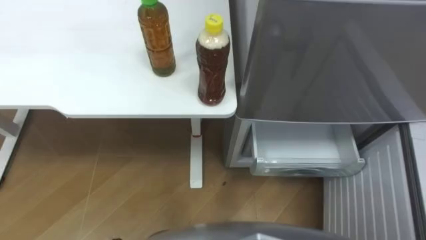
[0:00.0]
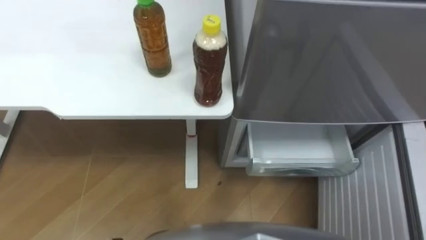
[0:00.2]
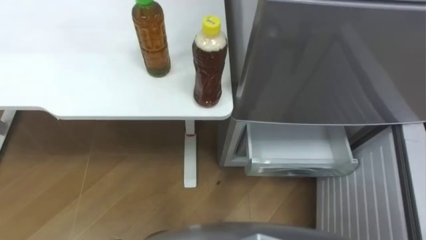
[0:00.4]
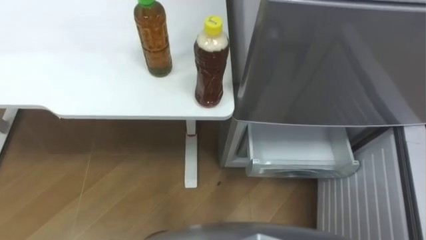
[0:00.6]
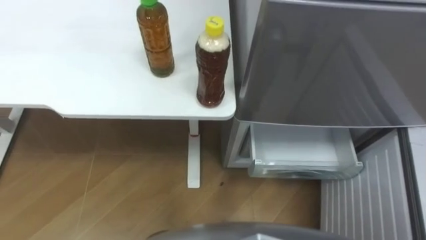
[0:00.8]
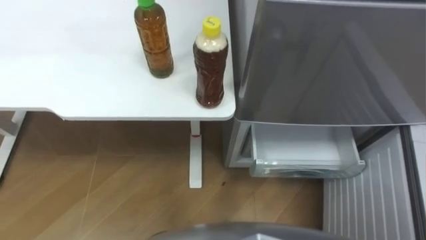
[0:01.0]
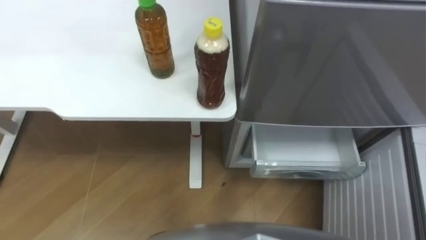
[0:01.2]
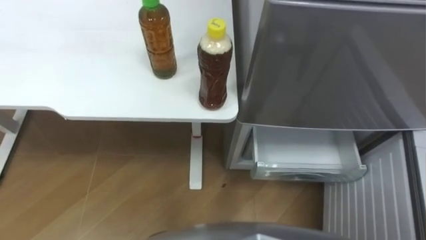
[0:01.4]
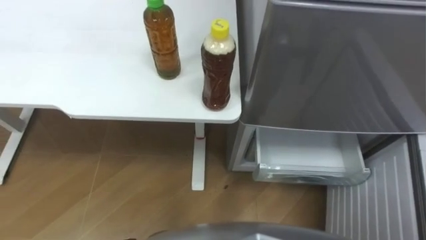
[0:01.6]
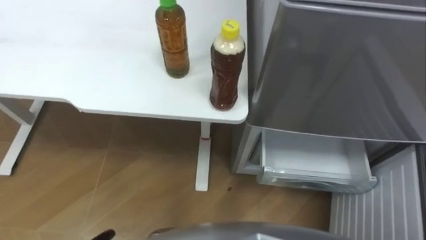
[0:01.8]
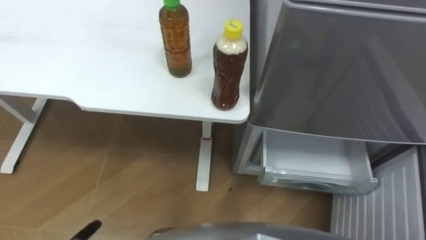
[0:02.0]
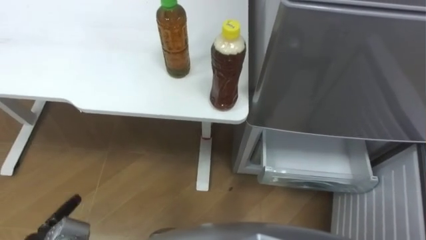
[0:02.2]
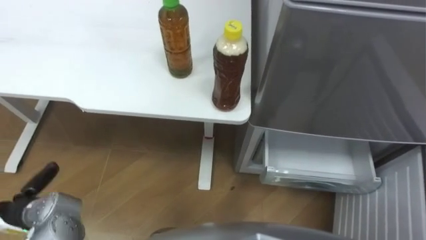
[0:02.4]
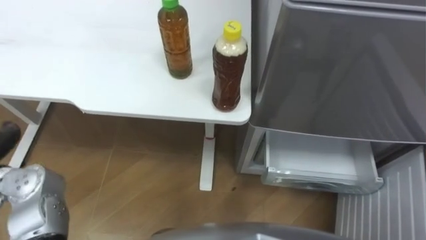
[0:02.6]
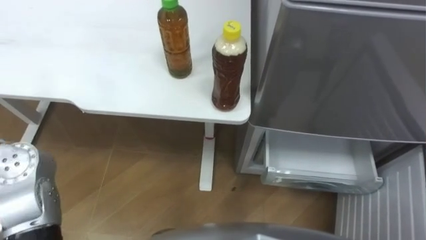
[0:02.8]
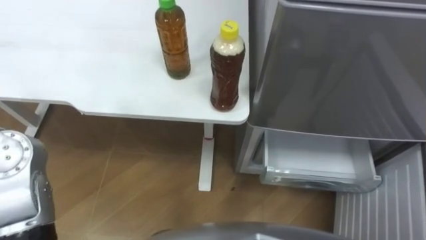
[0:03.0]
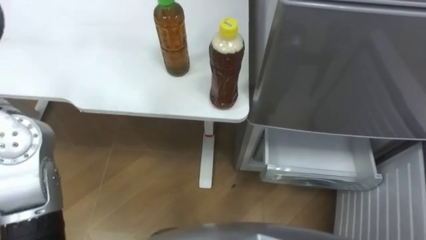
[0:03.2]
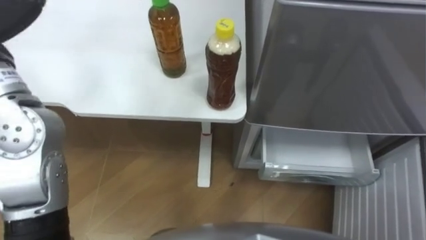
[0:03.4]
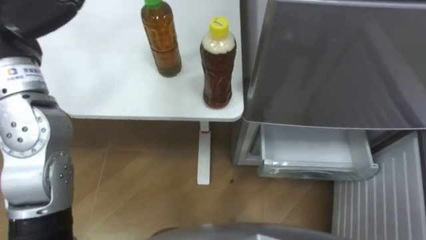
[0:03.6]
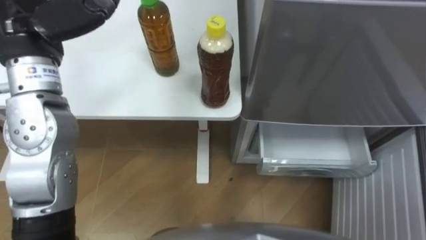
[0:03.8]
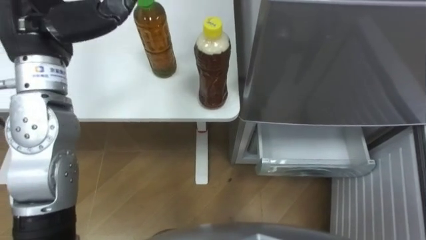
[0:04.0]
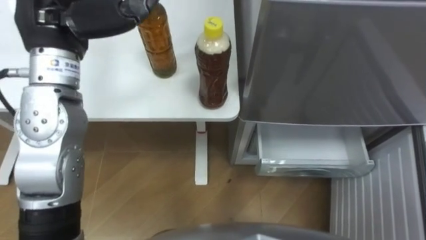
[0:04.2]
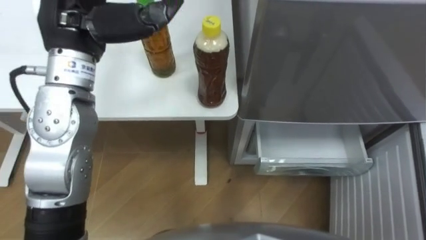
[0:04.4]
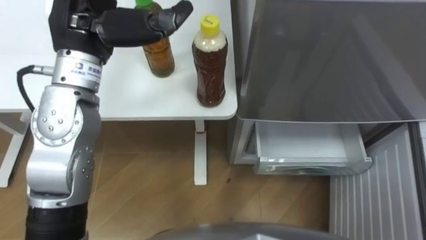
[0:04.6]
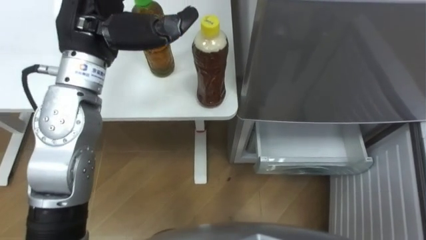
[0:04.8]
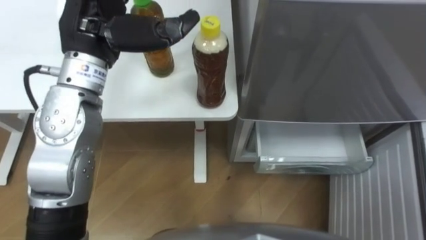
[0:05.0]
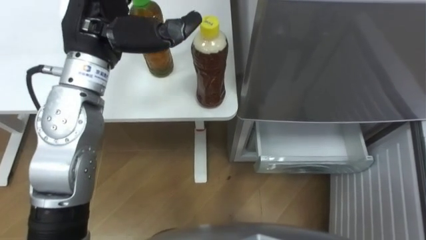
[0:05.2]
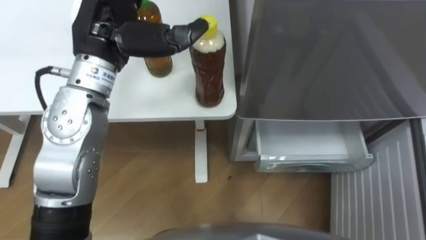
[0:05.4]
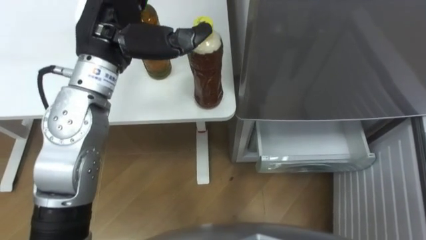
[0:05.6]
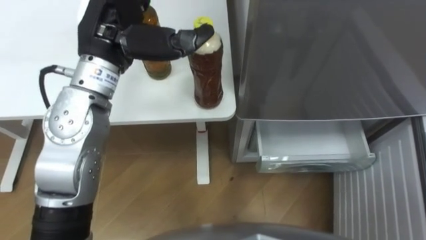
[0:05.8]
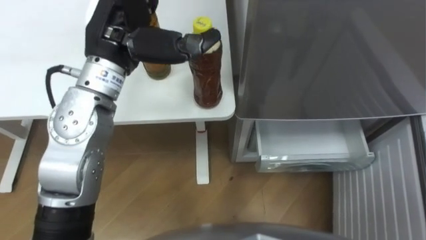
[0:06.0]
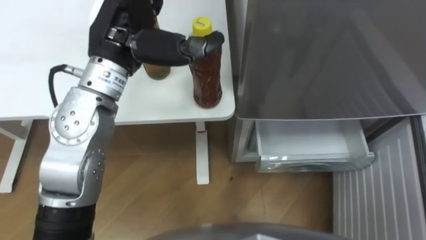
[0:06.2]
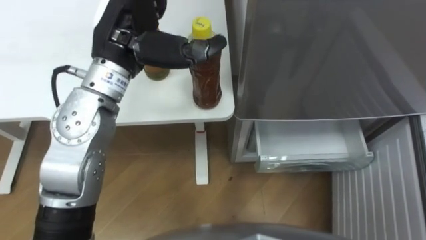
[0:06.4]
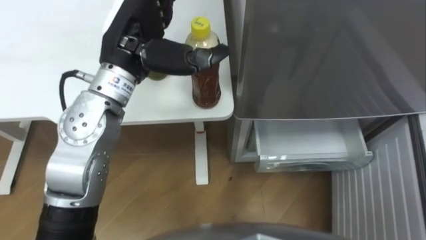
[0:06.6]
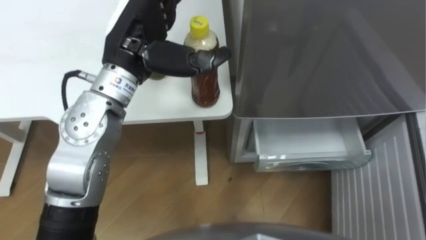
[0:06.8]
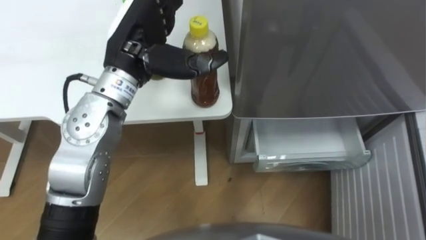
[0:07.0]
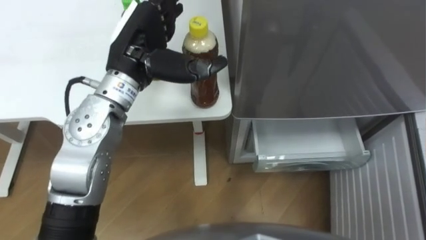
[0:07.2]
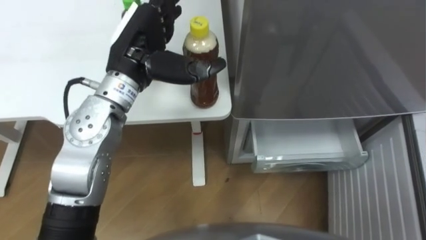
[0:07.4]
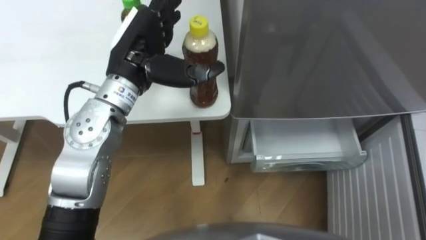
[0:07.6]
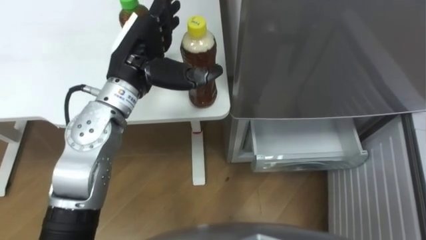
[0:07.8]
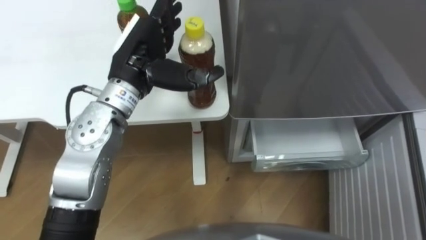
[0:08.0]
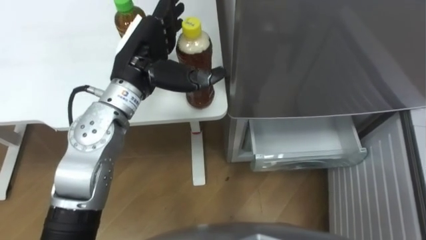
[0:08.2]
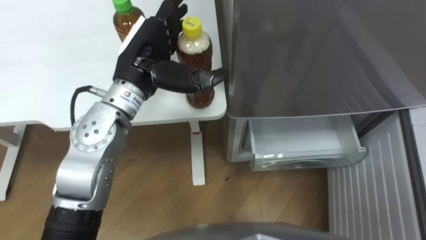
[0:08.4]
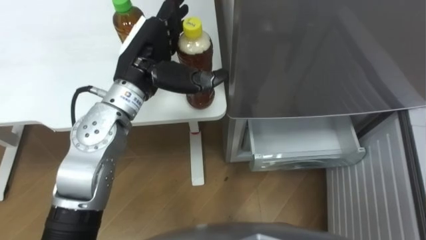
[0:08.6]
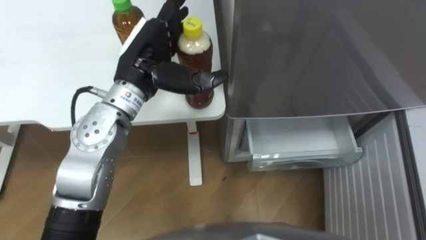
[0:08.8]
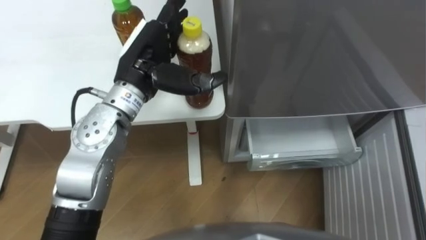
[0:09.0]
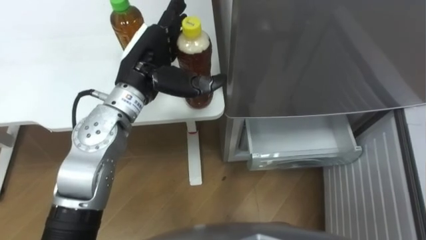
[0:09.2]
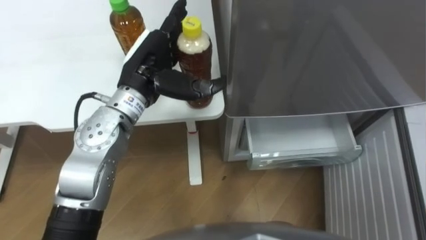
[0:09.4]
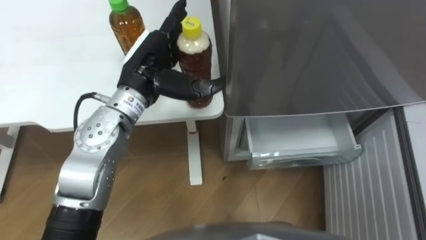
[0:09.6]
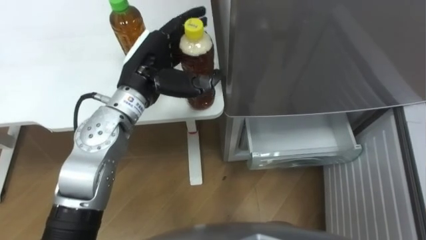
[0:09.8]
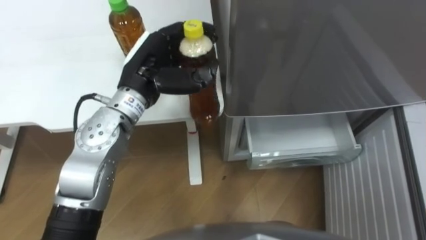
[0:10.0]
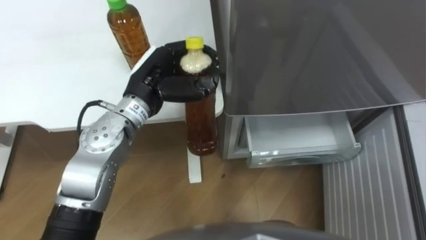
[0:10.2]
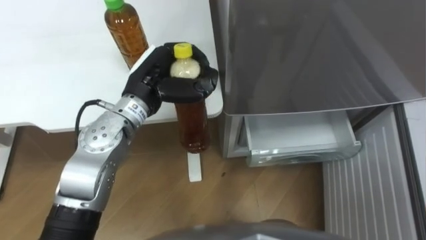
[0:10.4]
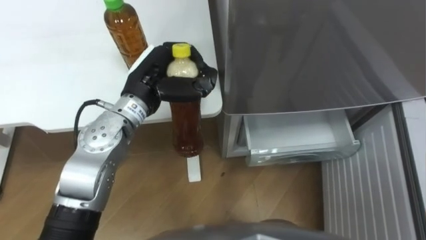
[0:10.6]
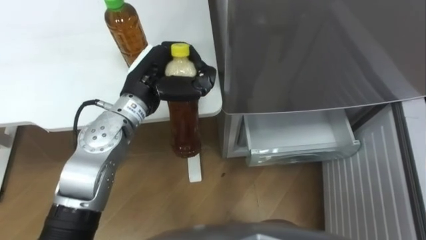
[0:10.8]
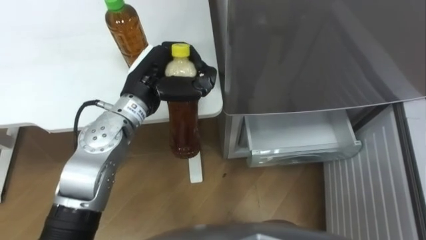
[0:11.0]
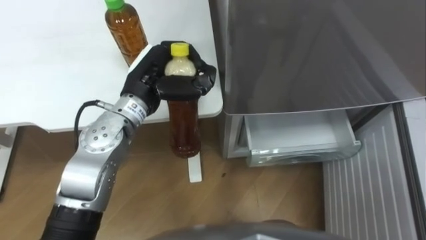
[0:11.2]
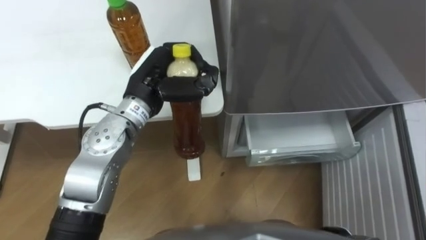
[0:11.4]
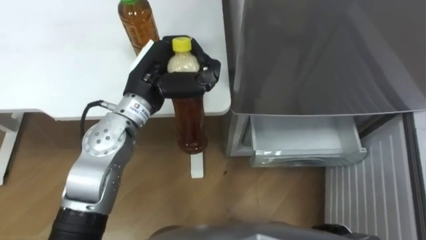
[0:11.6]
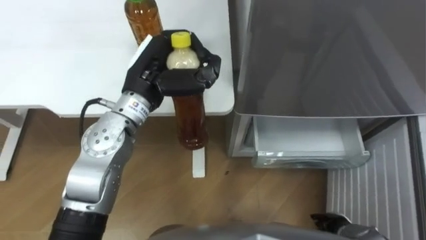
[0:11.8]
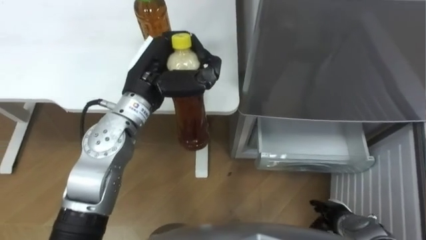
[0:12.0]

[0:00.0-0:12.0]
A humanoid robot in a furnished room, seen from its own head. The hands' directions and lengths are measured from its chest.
Task of the whole recording: Place the drink on the table on the bottom shelf of the refrigerator, then close the drawer and the refrigerator door.
0:06.0 to 0:07.6: The left hand moves downward, about 5 cm.
0:09.0 to 0:10.4: The left hand closes.

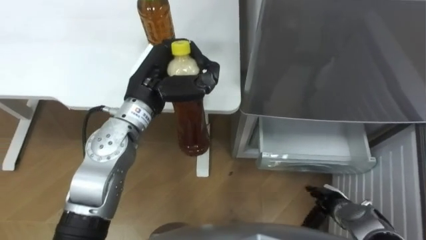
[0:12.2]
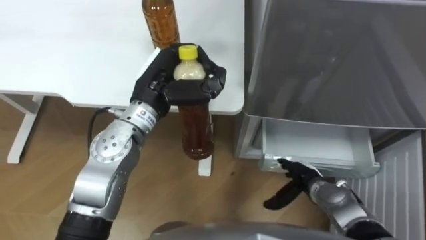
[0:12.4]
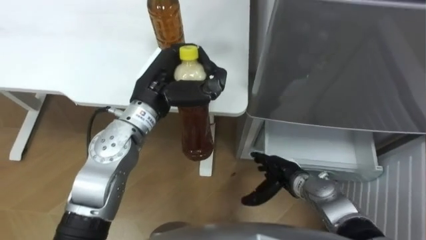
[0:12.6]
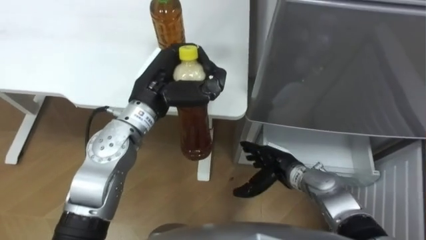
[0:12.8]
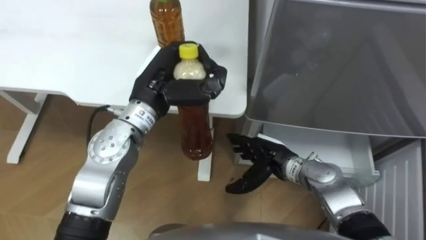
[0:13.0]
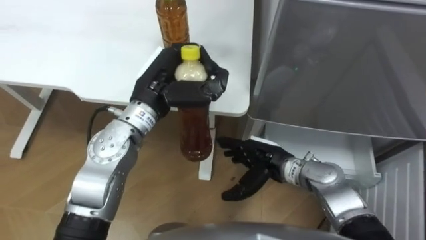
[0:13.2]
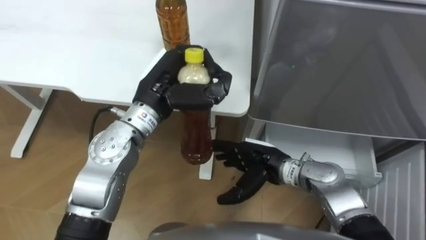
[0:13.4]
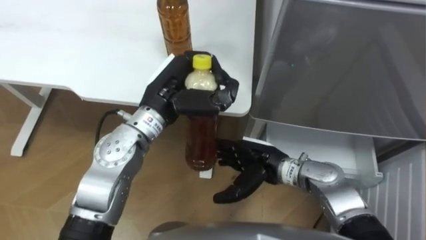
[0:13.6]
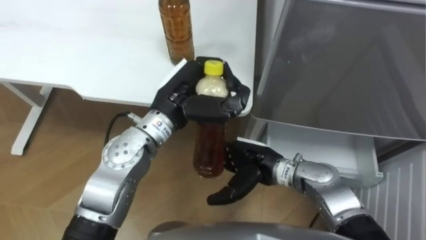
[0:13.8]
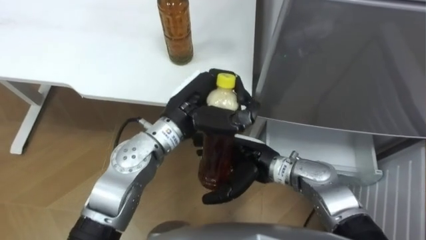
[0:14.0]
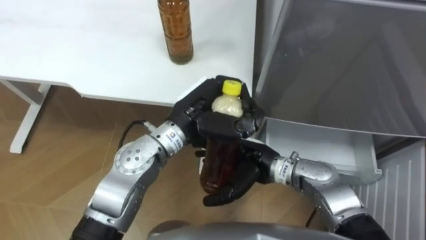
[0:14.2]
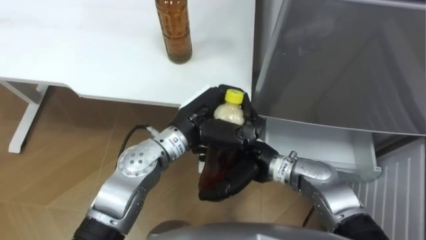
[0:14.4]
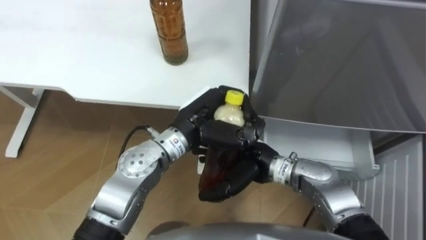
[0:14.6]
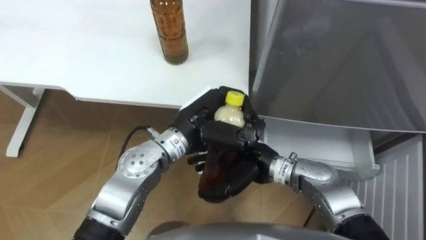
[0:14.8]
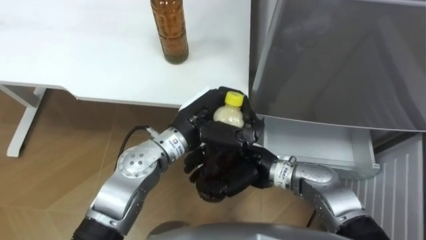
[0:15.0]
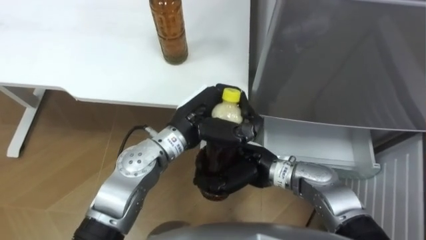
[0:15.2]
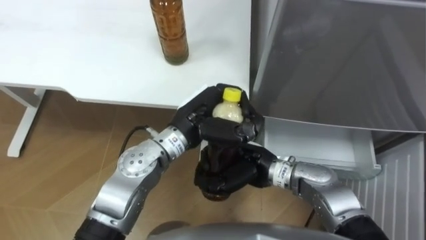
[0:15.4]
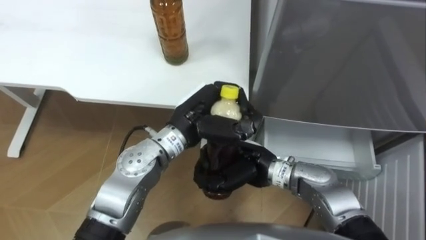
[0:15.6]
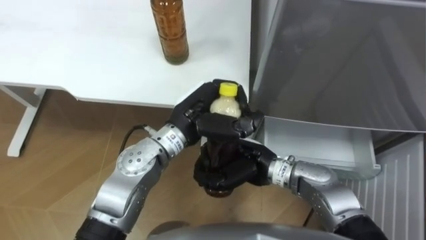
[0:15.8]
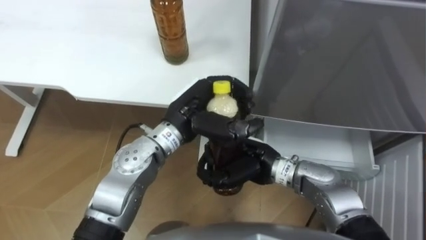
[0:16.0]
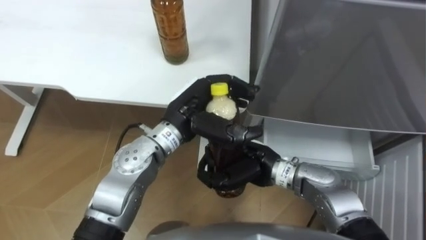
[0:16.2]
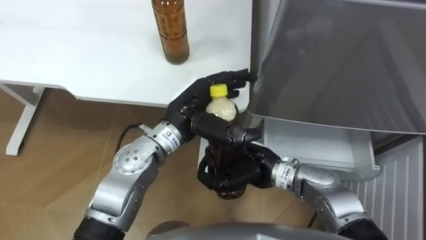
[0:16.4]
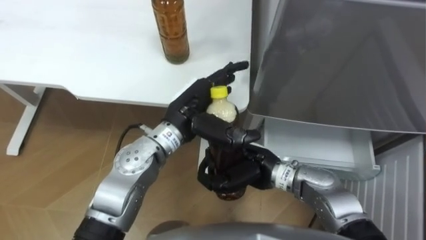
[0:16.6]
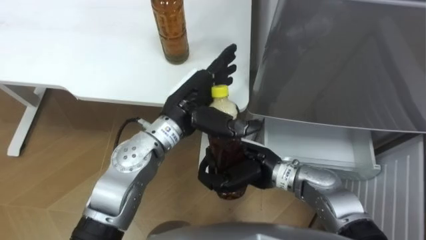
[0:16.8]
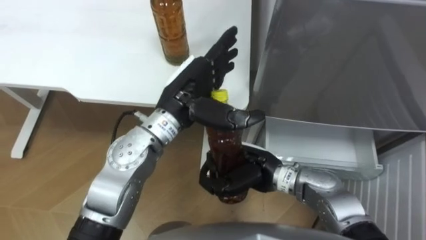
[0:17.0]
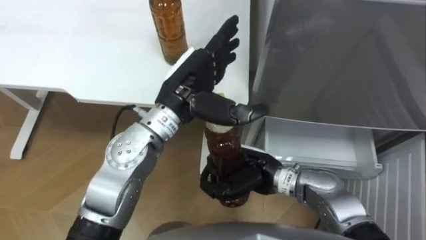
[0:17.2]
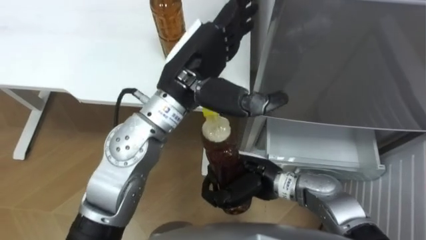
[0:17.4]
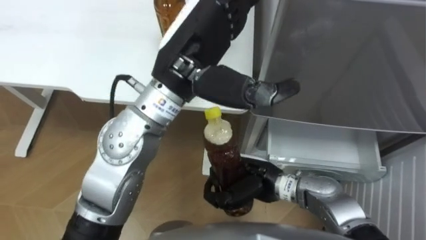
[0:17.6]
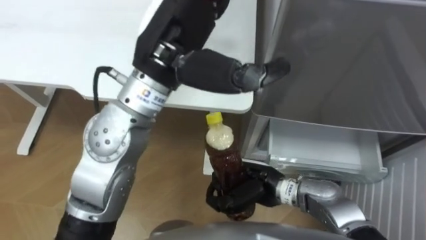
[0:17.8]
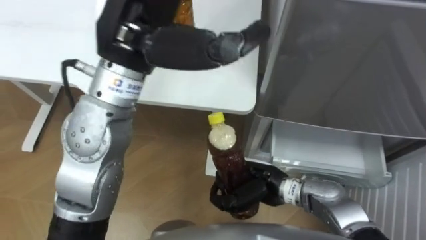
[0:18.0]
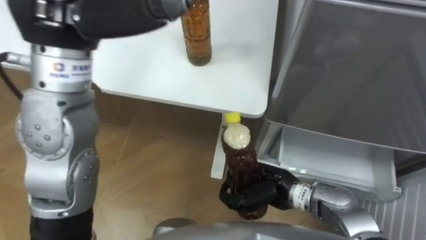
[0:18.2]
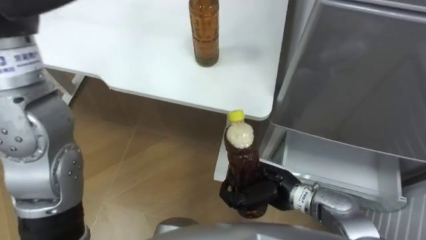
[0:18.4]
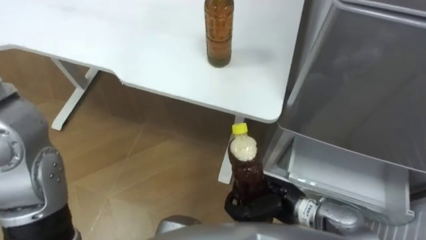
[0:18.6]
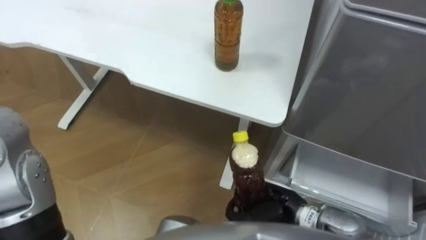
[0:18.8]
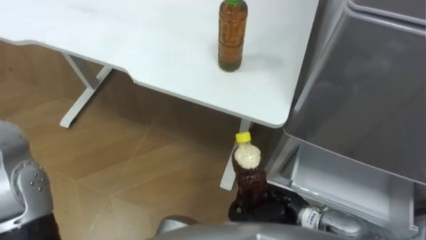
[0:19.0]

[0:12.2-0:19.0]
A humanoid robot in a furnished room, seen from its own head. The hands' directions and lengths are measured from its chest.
Task of the whole recording: Place the drink on the table on the bottom shelf of the refrigerator, then close the drawer and the refrigerator door.
0:12.2 to 0:13.6: The right hand is displaced to the left, upward and forward by about 20 cm.
0:13.6 to 0:15.0: The right hand closes its fingers, while the left hand moves about 5 cm.
0:15.0 to 0:16.2: The left hand opens. The right hand closes its fingers.
0:16.2 to 0:17.6: The left hand moves upward, some 15 cm, and opens.
0:17.6 to 0:19.0: The right hand travels to the right by approximately 5 cm.
